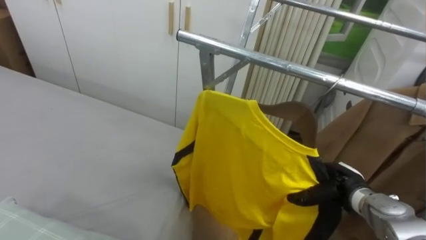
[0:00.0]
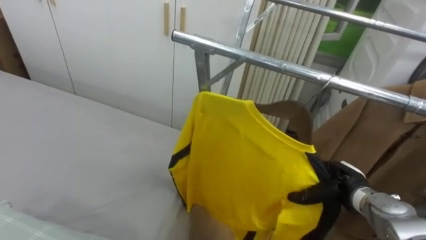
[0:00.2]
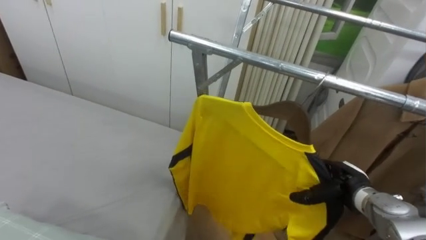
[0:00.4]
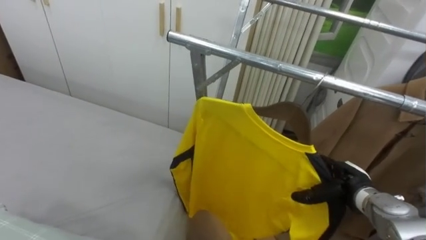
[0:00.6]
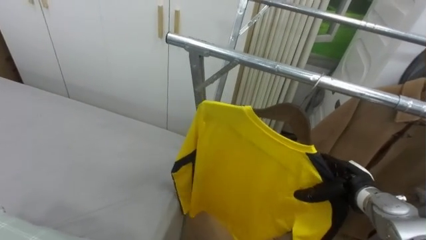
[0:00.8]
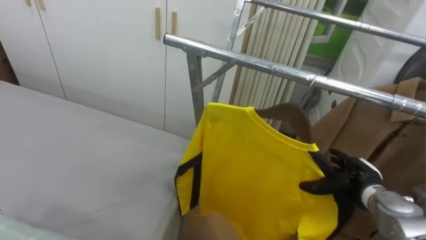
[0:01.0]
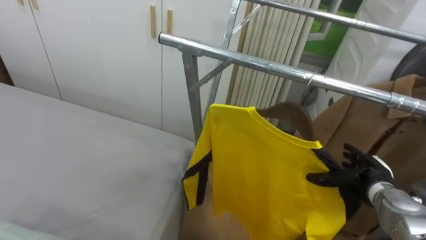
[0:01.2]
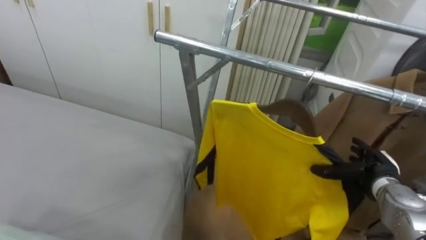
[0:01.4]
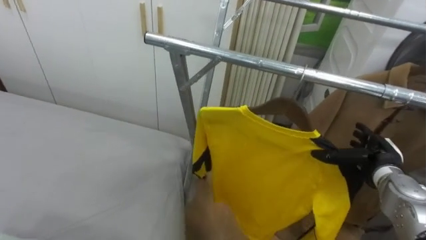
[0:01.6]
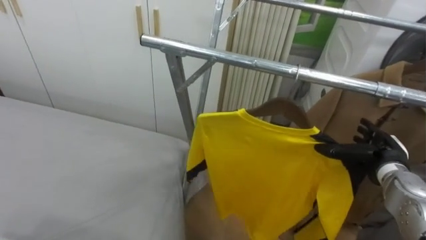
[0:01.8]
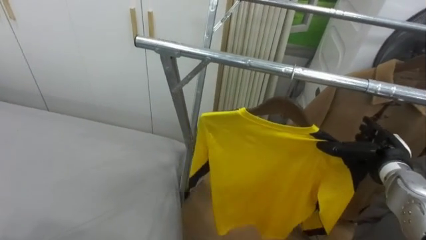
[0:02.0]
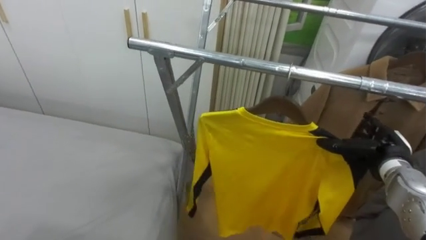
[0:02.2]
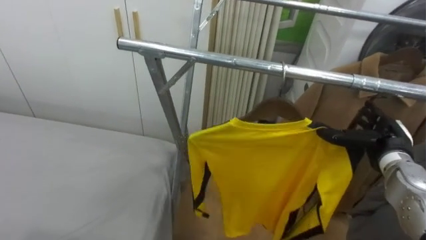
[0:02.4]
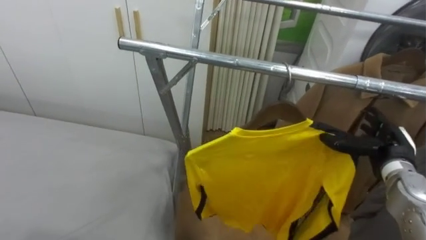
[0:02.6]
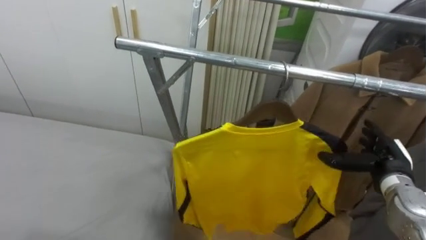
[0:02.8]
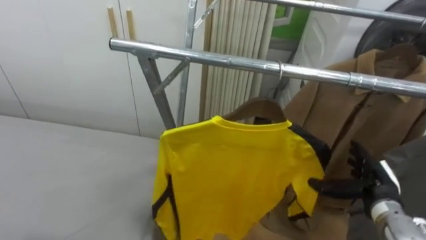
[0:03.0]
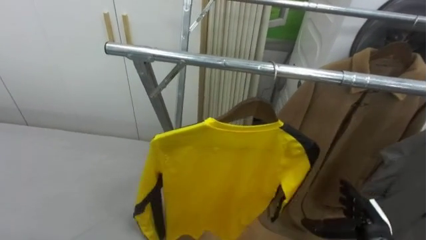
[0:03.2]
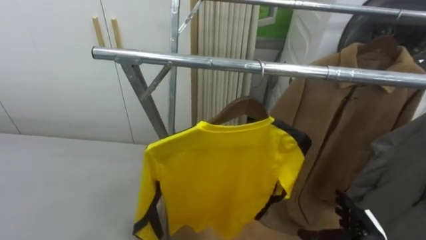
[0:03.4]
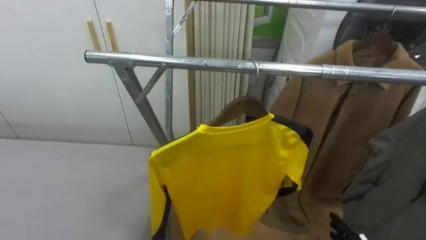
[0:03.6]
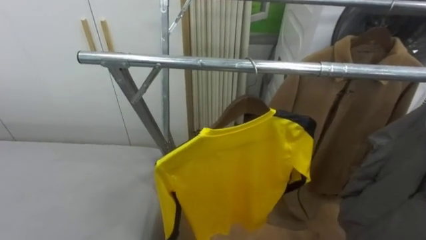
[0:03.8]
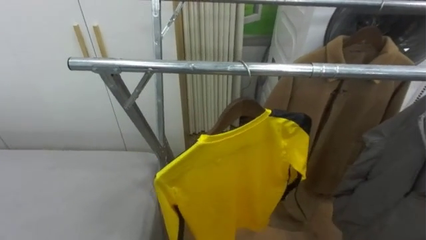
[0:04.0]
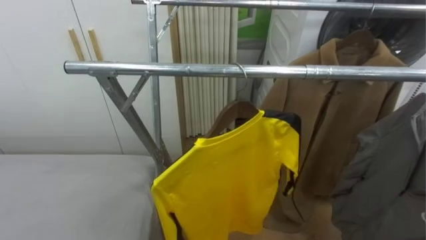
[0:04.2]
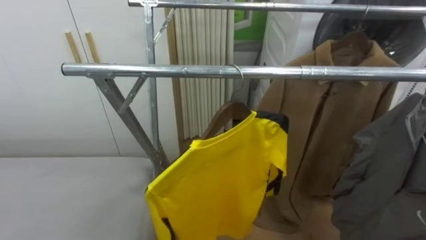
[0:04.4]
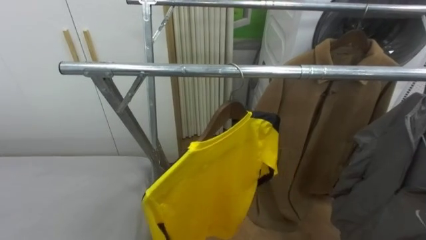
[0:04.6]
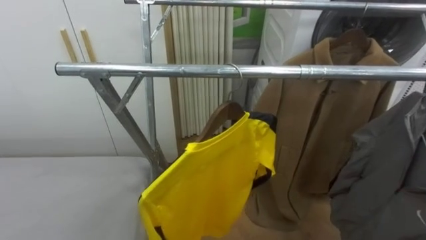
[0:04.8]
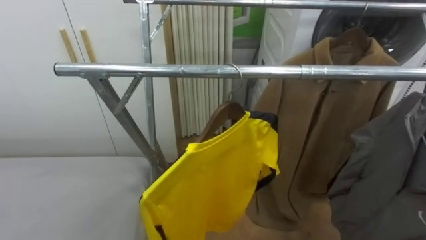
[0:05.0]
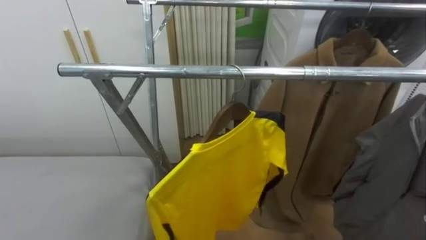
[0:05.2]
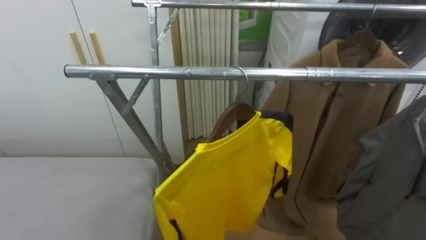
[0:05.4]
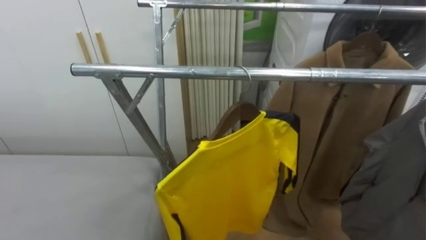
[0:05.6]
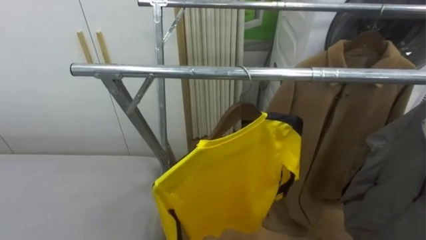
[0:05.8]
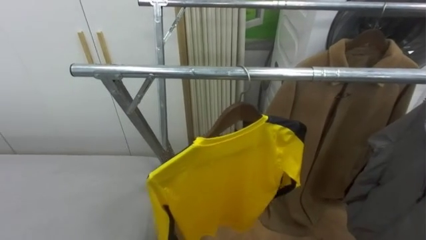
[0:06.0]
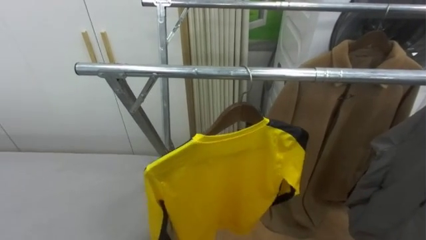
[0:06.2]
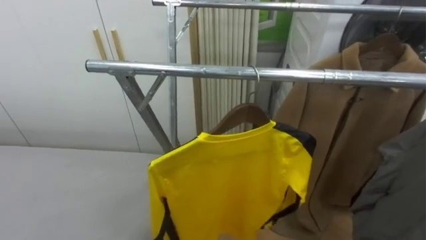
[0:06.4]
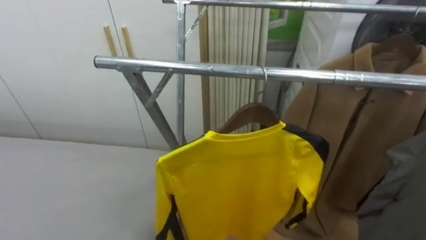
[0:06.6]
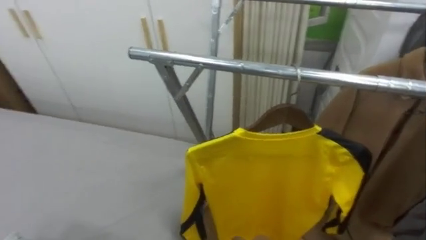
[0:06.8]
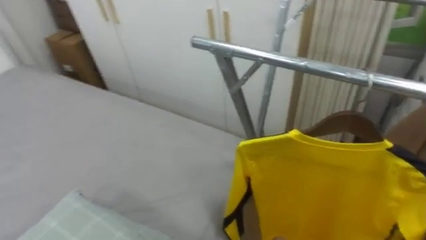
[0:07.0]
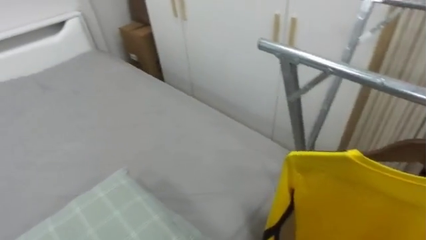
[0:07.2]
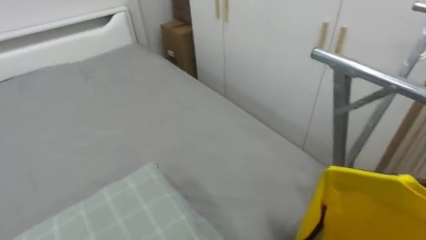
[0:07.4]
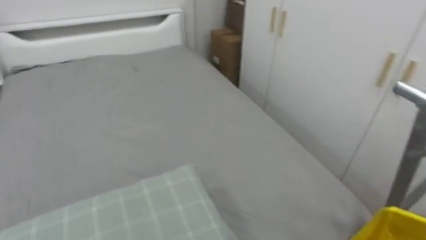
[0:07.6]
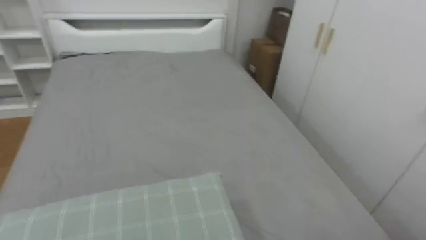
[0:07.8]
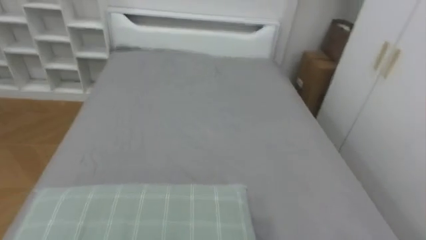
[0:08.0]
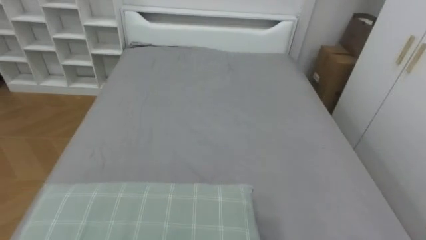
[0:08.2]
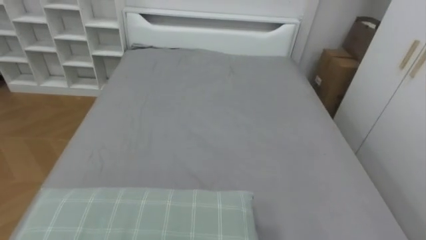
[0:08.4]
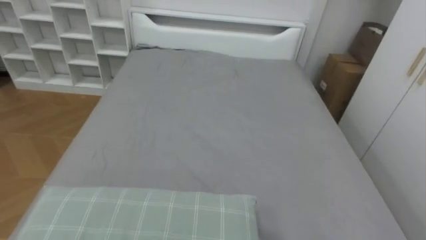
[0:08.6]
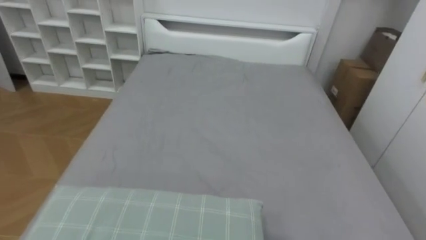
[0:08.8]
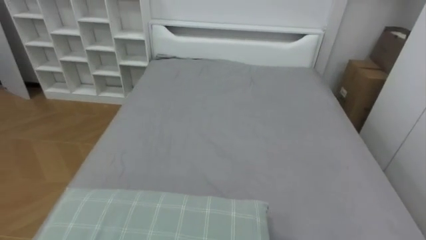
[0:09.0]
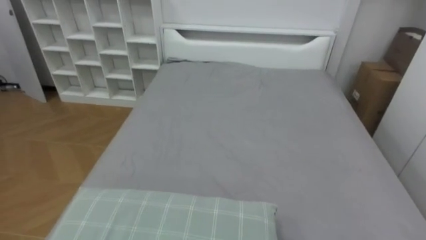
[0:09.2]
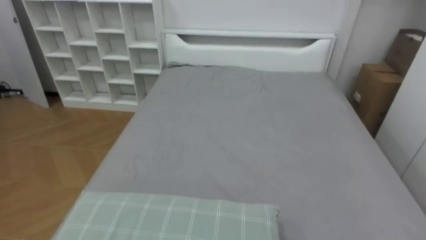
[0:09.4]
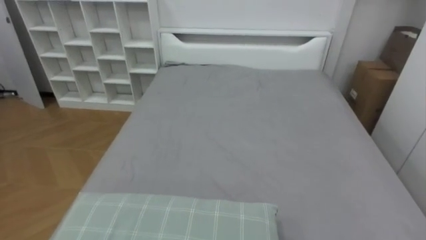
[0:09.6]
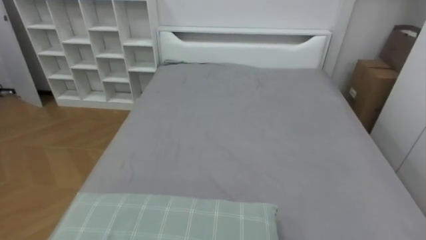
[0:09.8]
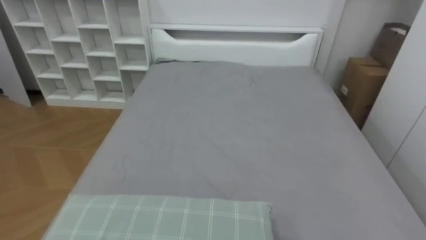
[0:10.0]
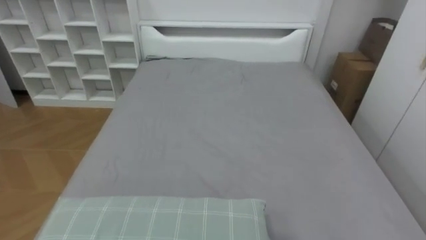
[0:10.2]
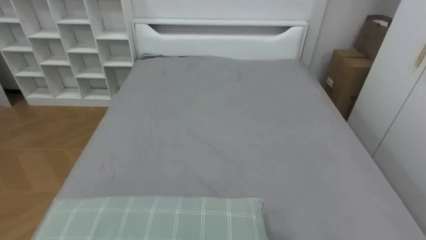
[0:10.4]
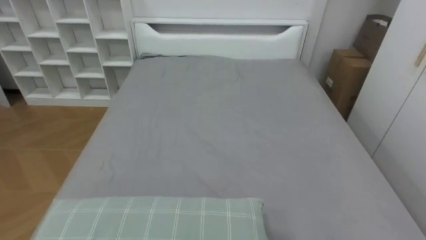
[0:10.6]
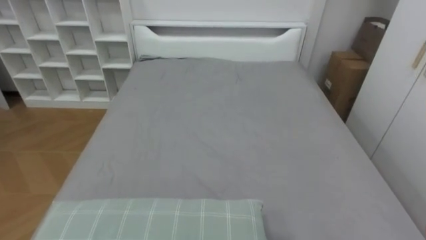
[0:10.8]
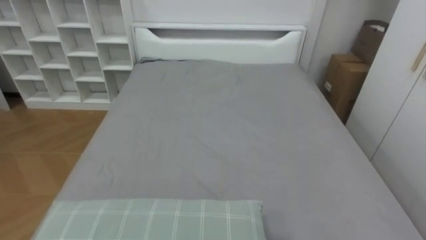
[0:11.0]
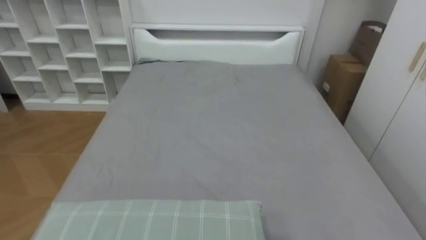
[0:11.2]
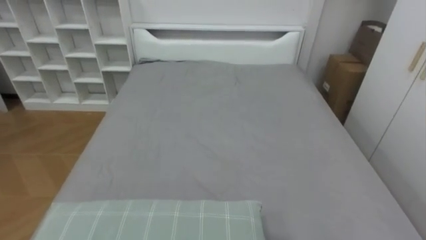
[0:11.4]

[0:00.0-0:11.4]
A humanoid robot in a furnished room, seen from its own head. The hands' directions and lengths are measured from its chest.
Task of the whole recording: Pick up the yellow shirt on the bed and hang it on the clothes rack on the right.
0:00.0 to 0:01.4: The right hand is displaced to the right by about 5 cm.
0:05.6 to 0:07.2: The robot faces some 40 degrees further to its left.
0:07.2 to 0:08.6: The robot's body swings some 50 degrees to its left.

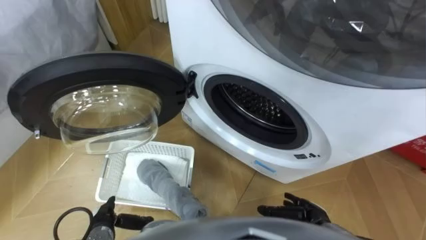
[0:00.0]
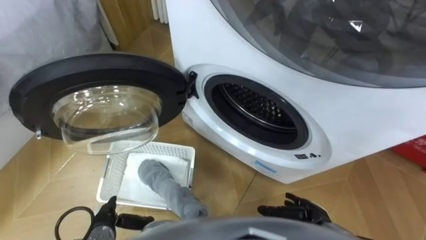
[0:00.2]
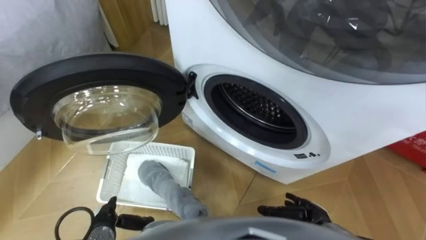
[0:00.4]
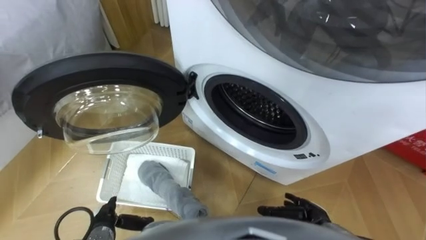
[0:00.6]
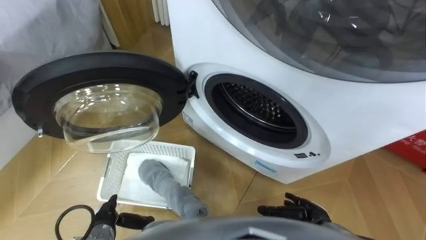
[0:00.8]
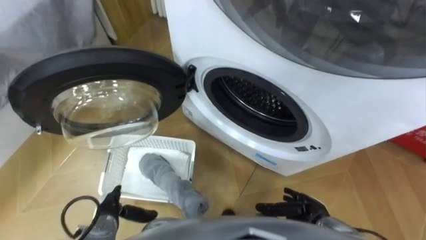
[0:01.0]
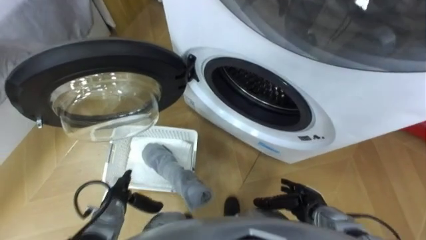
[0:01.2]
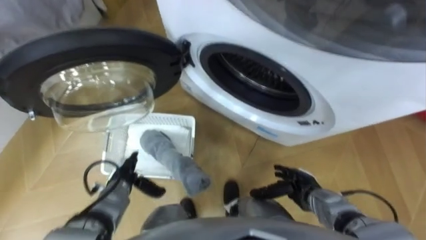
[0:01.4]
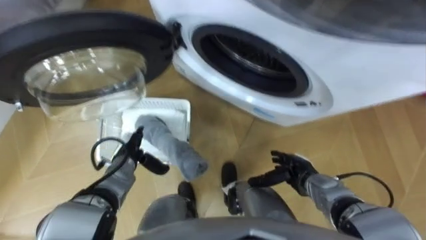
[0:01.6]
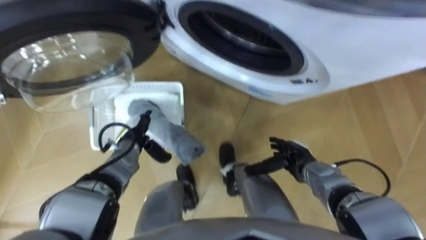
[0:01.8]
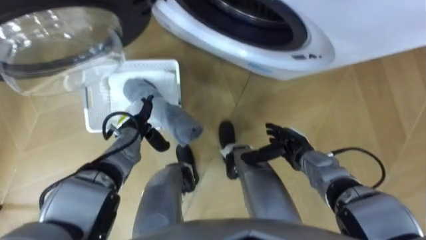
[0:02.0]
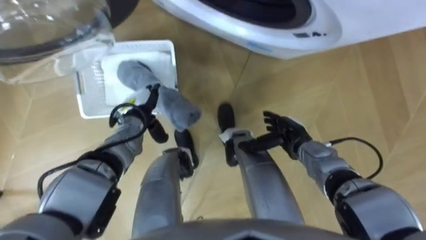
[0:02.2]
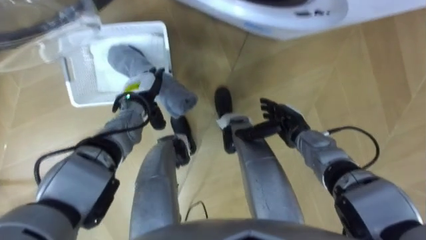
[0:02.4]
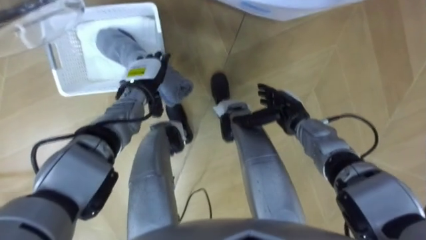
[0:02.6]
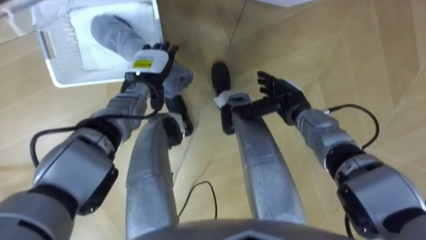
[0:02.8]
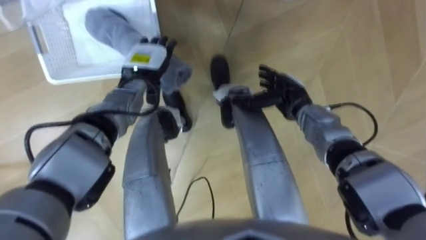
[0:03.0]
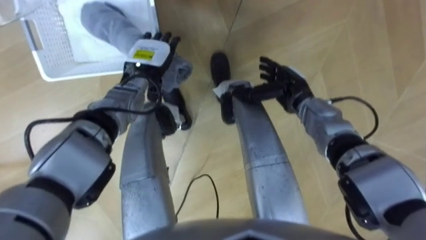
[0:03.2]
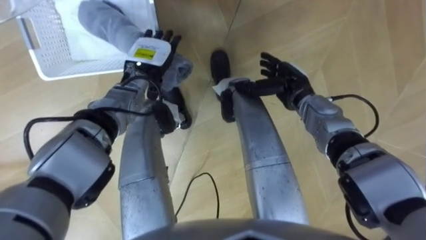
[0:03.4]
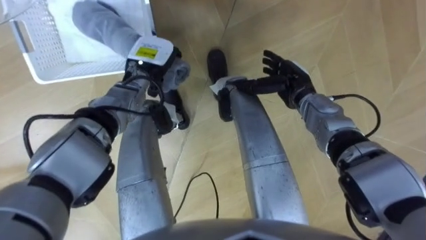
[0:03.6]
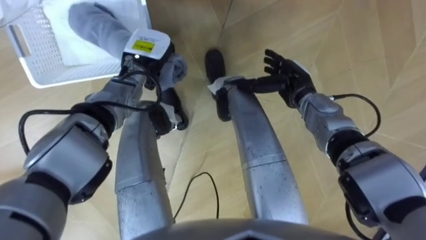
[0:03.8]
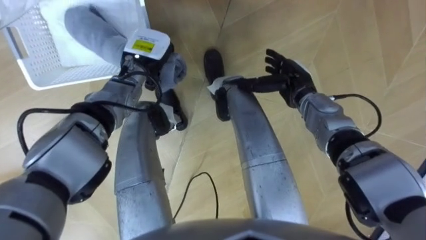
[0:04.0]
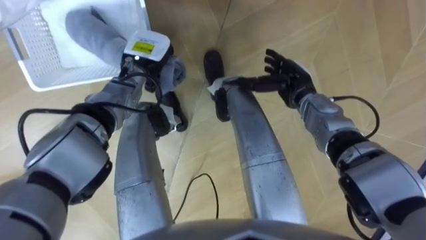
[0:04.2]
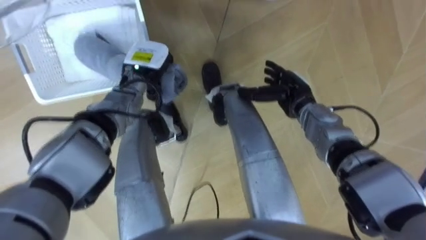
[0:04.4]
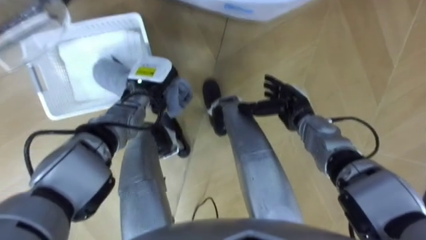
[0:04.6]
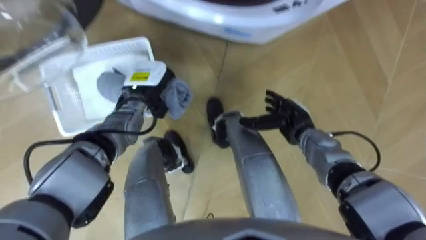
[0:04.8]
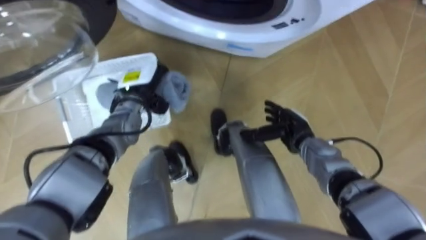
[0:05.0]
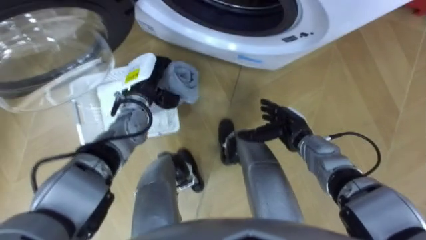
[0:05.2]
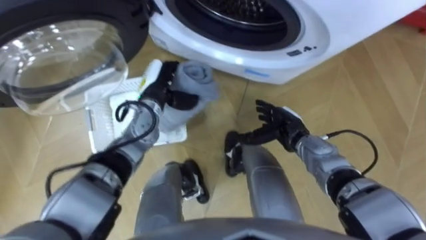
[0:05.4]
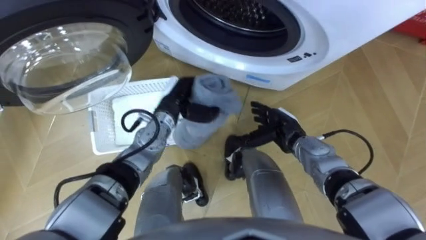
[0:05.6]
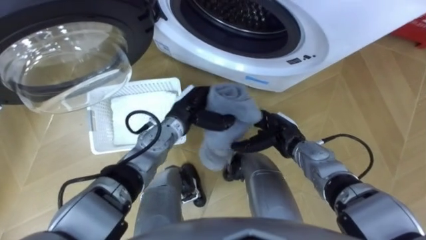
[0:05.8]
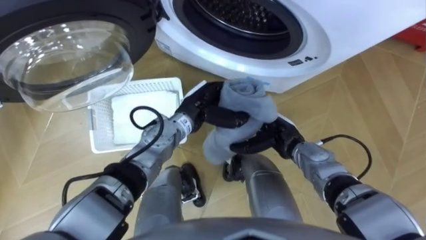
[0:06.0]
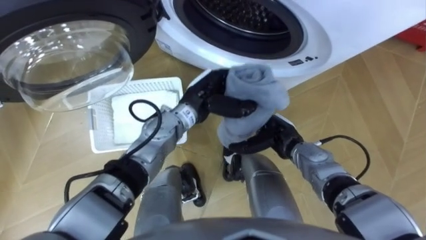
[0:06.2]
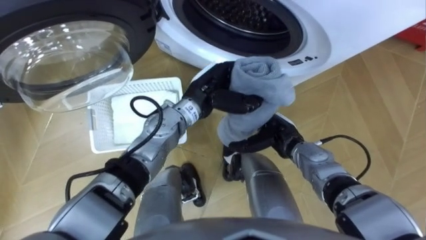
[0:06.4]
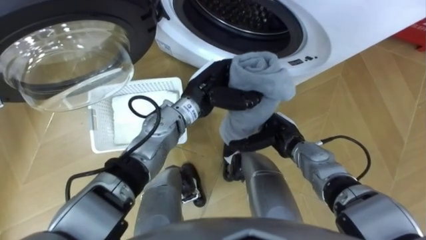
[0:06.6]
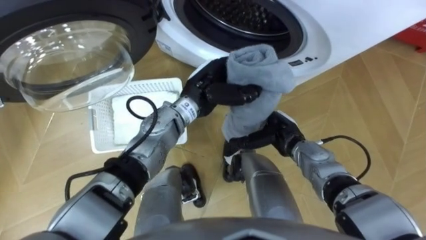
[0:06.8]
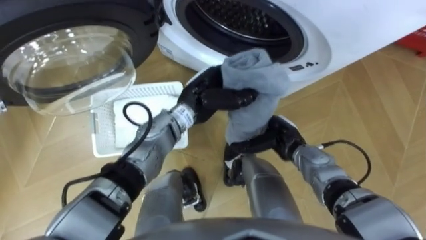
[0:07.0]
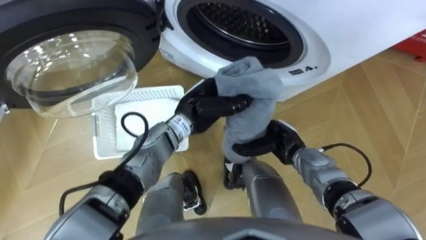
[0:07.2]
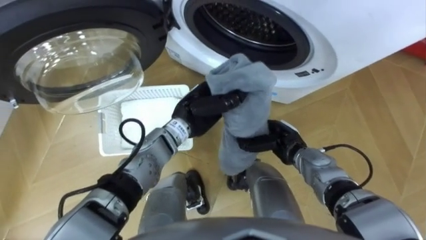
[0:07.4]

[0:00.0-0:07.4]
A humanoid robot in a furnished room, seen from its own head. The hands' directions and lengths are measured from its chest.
Task of the whole recording: Take the towel from the basket and put it into the washing machine.
0:01.4 to 0:03.0: Both hands move forward and upward, roughly 25 cm.
0:03.0 to 0:04.4: The left hand closes.
0:04.4 to 0:06.0: The right hand travels backward and downward by approximately 10 cm. The left hand is displaced to the right and backward by approximately 15 cm.
0:06.0 to 0:07.4: The right hand closes up.
